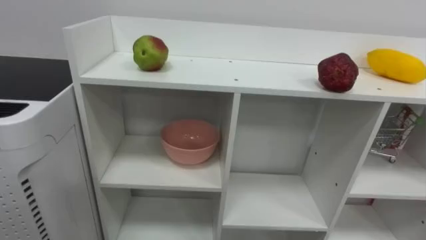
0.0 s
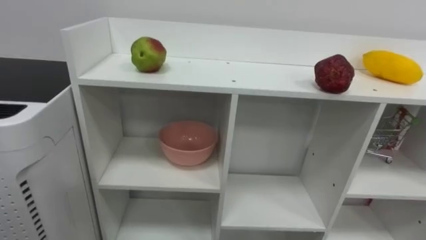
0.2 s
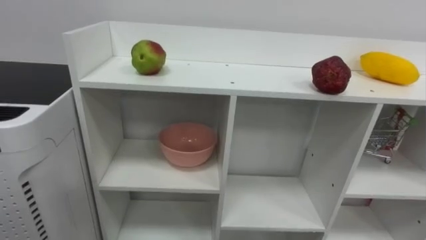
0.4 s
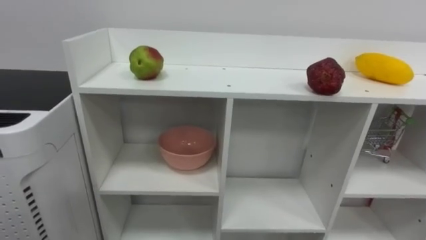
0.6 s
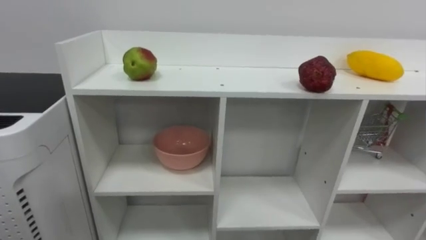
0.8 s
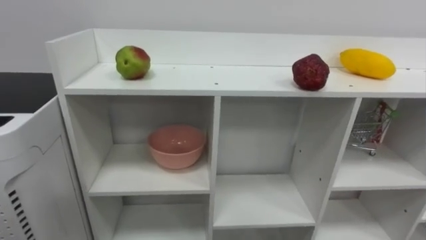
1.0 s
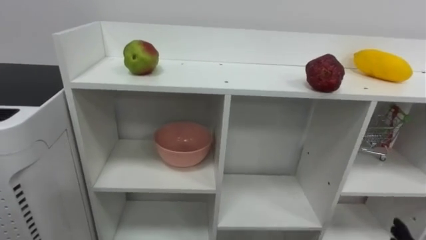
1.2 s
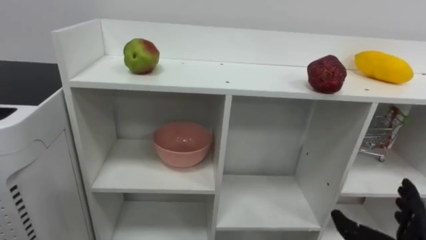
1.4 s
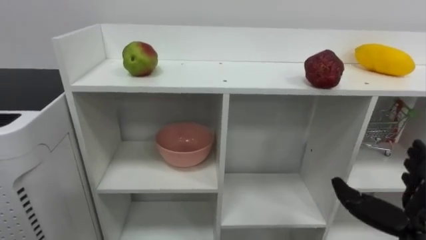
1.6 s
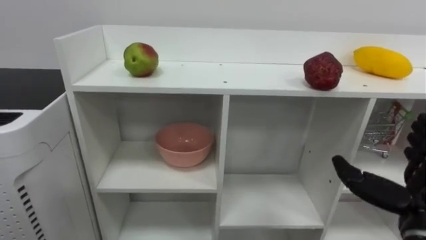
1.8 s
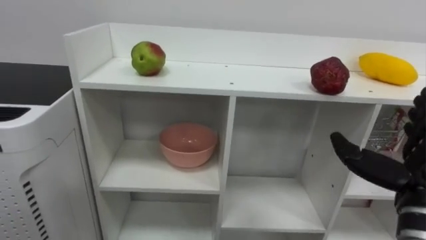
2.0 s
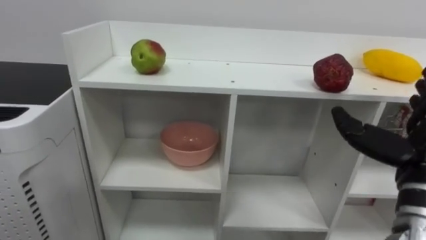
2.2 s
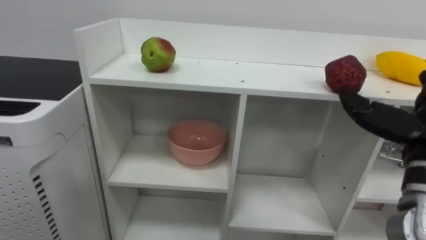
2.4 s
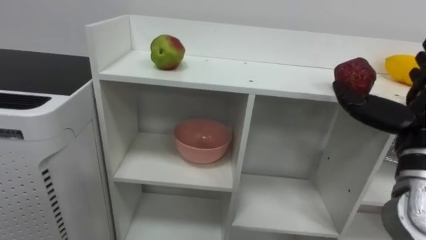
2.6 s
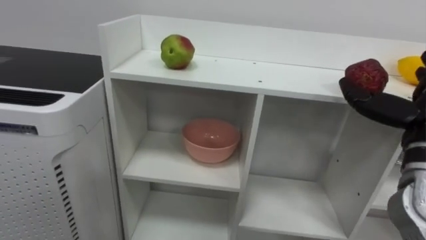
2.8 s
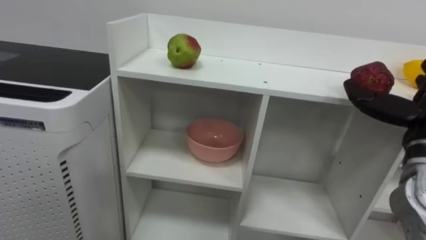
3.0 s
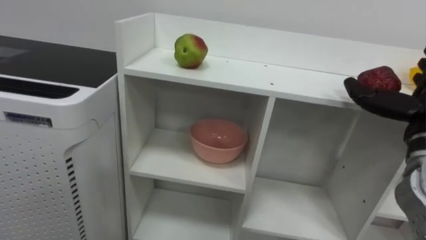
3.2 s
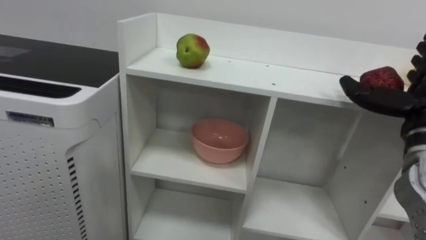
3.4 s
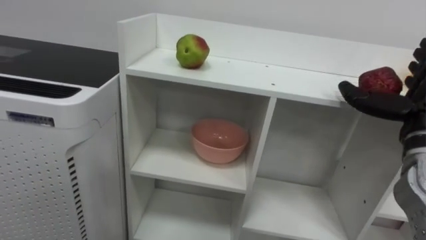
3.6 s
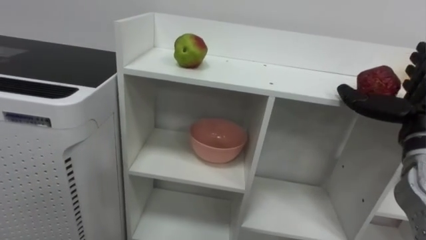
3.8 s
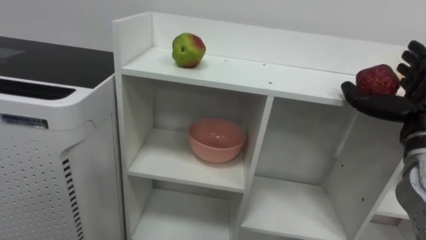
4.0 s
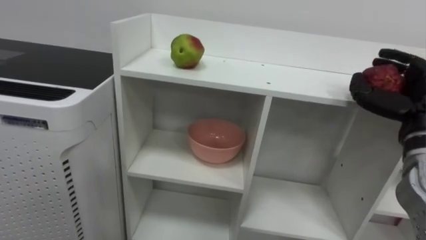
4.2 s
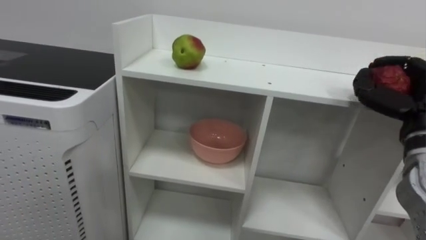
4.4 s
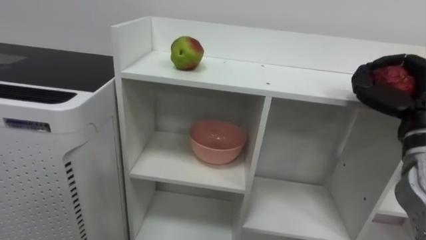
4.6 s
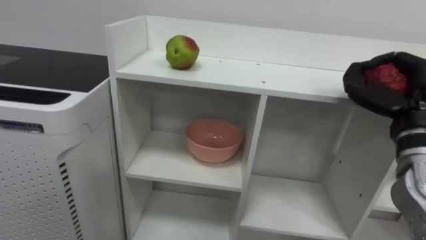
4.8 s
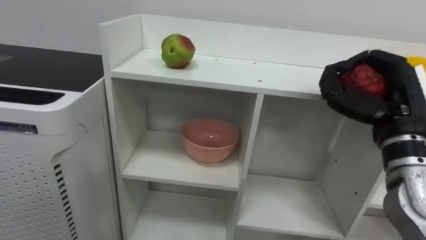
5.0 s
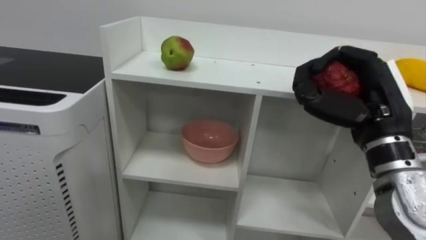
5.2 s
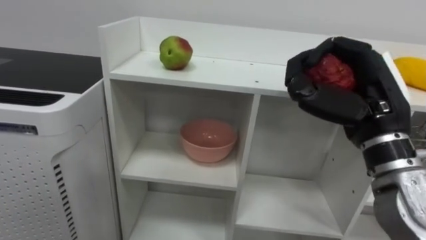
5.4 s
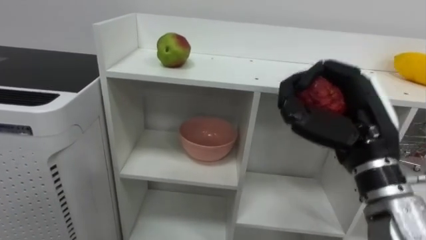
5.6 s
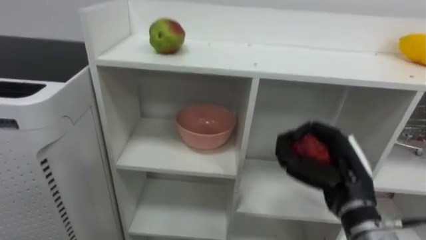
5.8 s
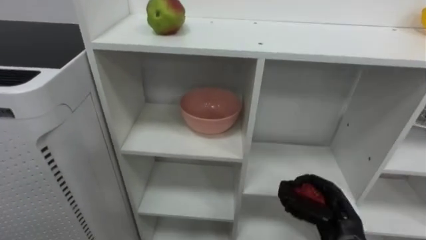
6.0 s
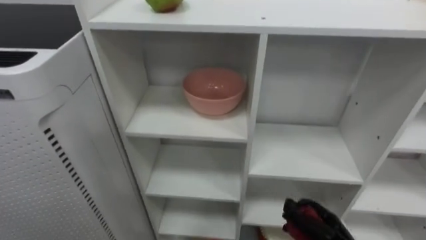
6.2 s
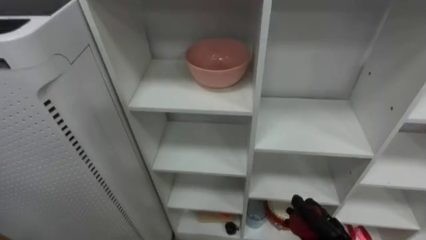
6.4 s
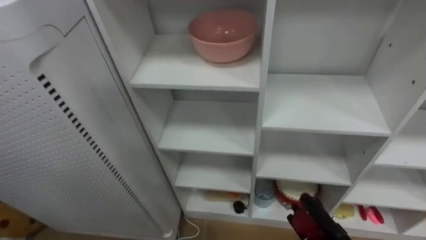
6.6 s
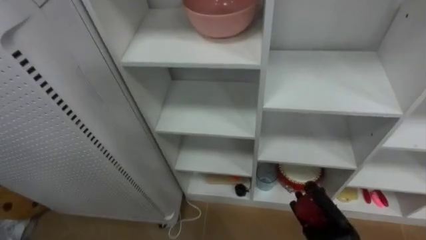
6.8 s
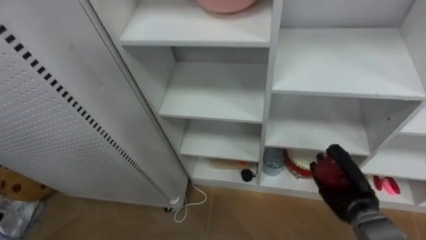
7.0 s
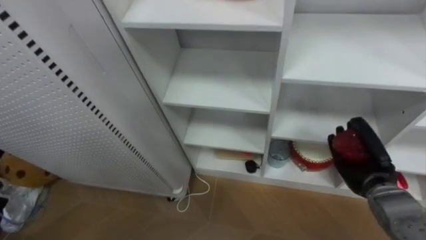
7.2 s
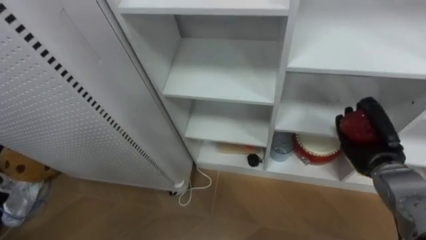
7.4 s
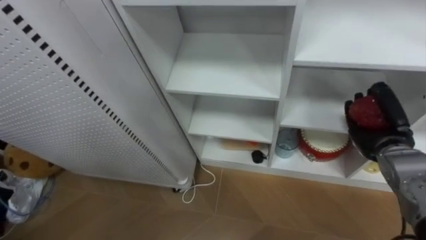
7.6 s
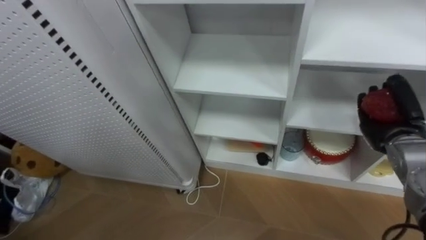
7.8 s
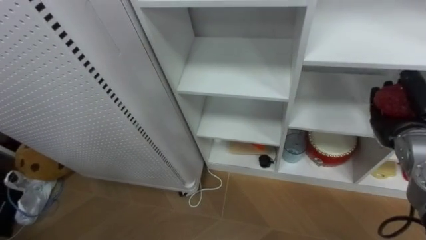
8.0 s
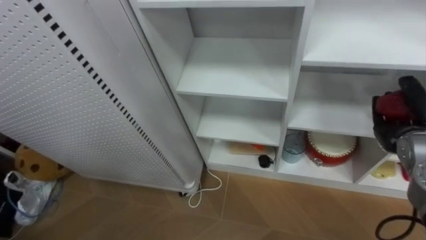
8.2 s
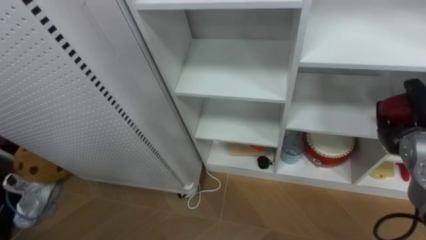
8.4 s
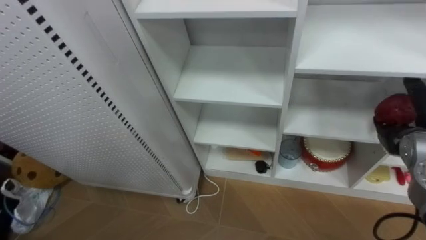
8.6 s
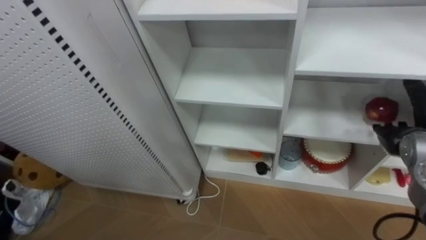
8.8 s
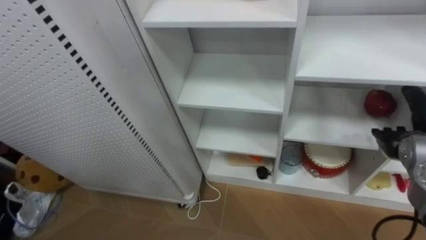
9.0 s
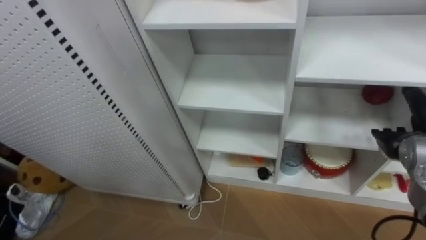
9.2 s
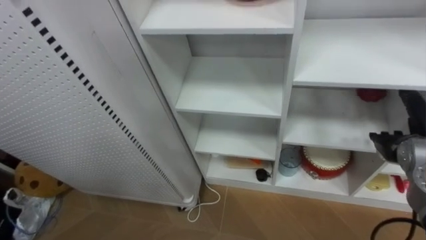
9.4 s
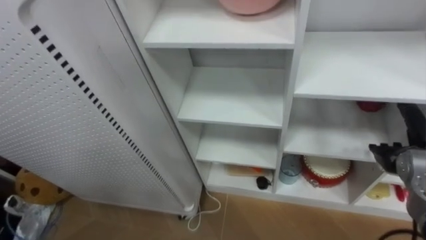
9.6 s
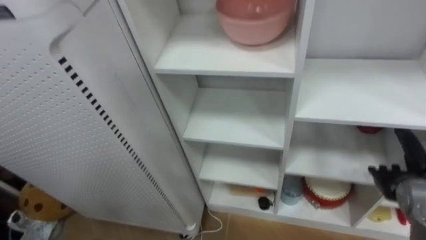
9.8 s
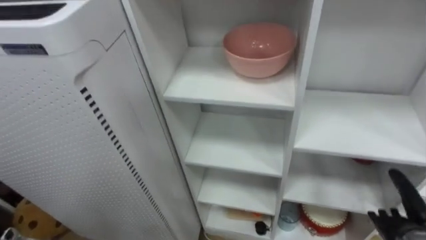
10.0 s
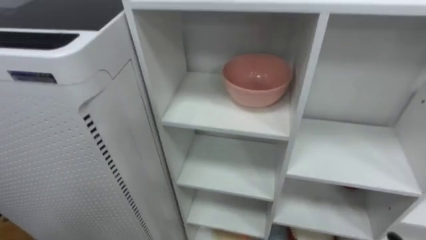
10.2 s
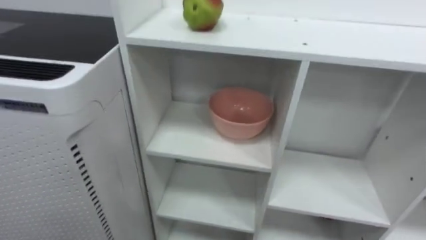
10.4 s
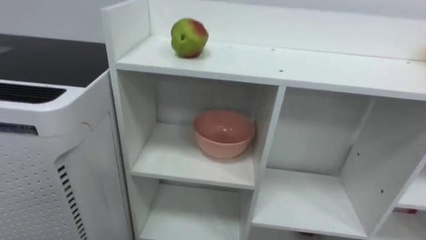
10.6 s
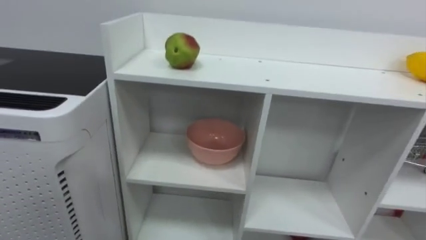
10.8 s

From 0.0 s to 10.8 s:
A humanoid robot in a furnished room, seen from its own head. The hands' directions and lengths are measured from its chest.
Task of the whole recording: Put the apple in the cell in the second column from the left and the second row from the top.
From 3.0 s to 4.6 s: The right hand closes.
From 4.6 s to 6.2 s: The right hand goes approximately 25 cm downward.
From 7.8 s to 9.2 s: The right hand opens.

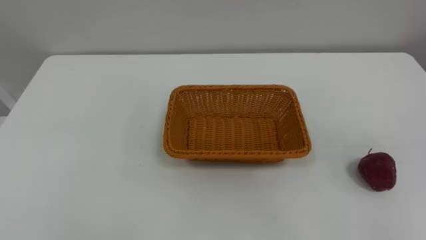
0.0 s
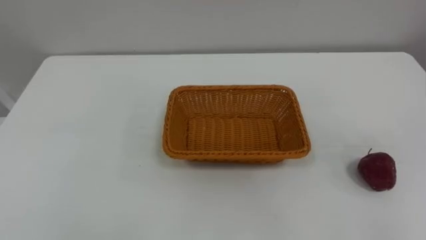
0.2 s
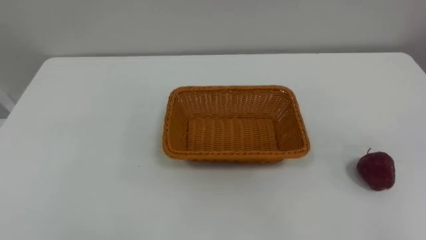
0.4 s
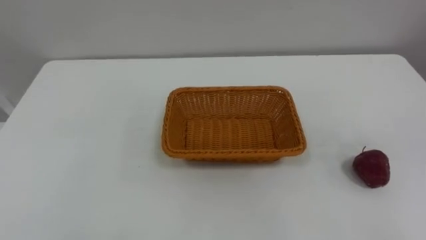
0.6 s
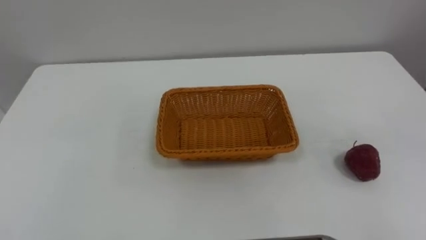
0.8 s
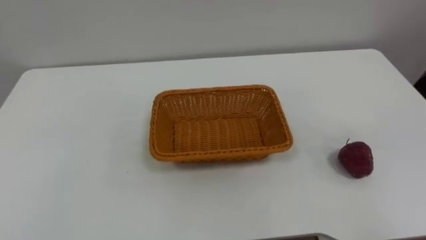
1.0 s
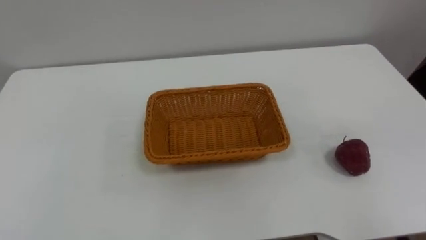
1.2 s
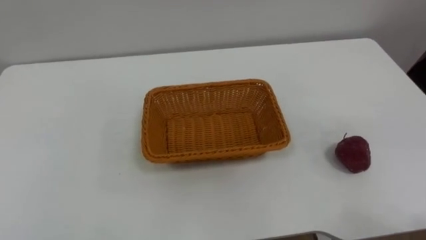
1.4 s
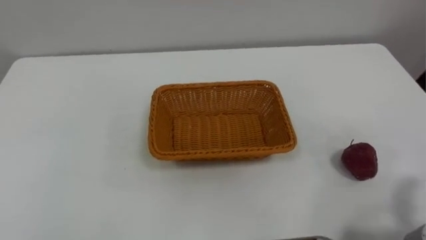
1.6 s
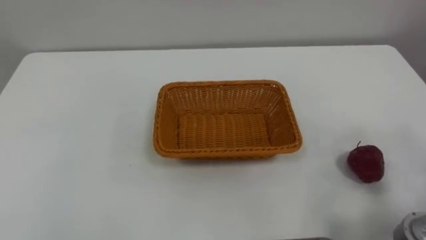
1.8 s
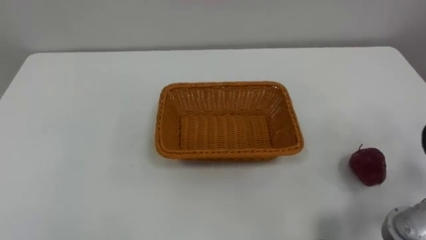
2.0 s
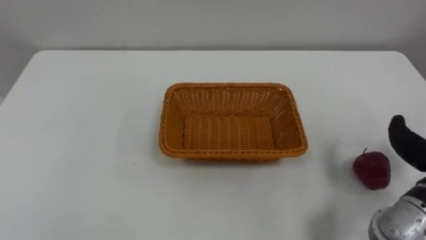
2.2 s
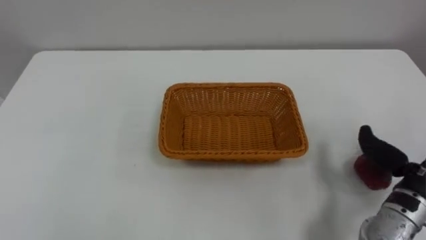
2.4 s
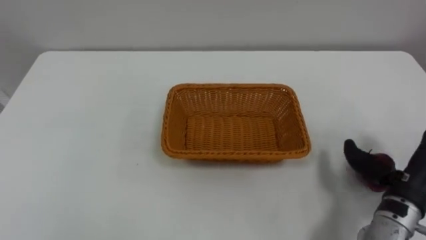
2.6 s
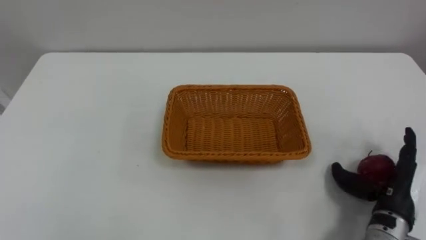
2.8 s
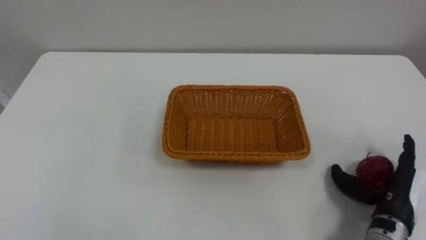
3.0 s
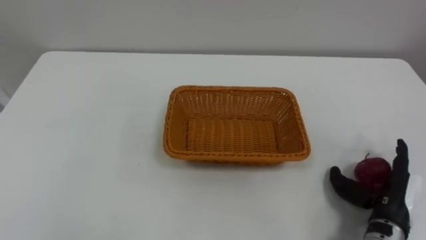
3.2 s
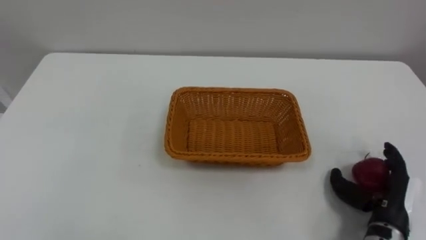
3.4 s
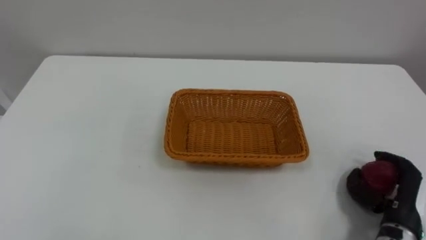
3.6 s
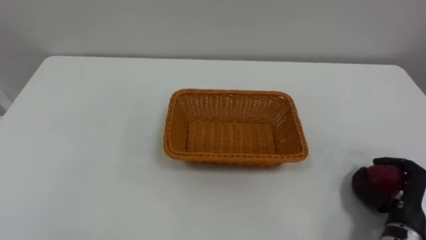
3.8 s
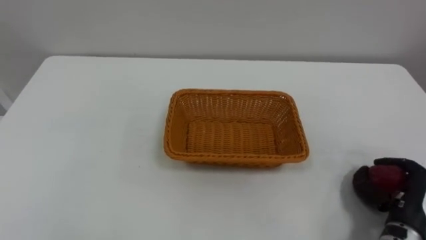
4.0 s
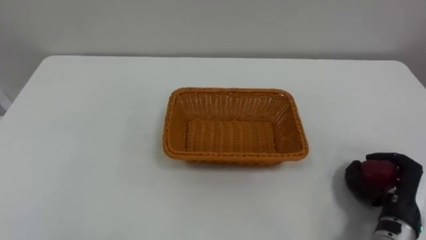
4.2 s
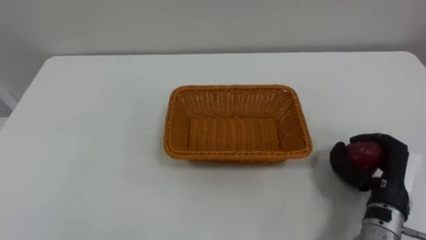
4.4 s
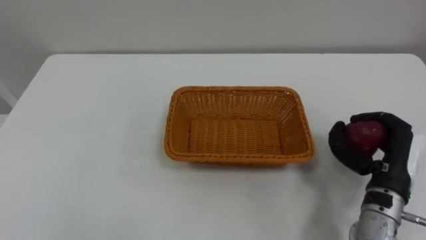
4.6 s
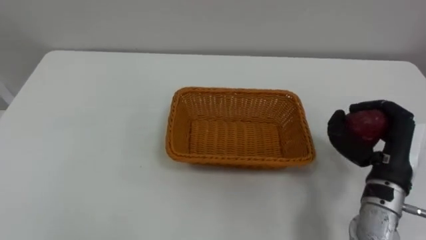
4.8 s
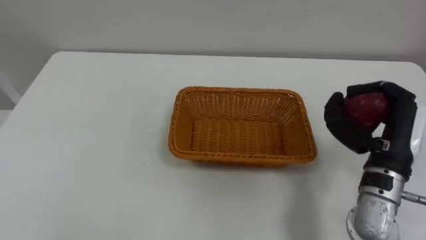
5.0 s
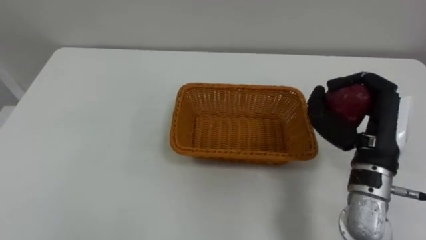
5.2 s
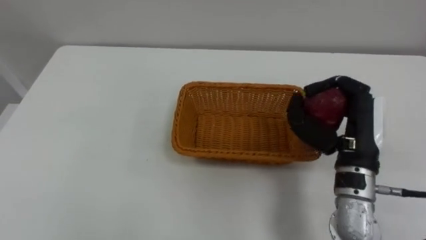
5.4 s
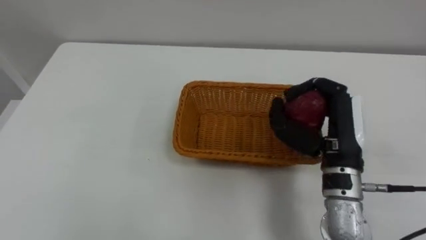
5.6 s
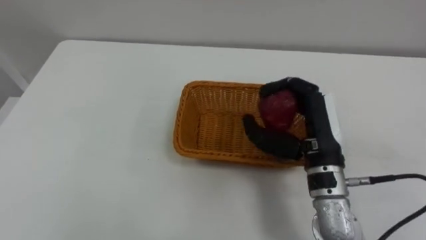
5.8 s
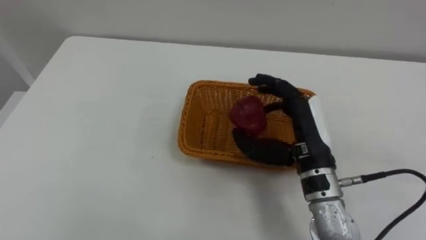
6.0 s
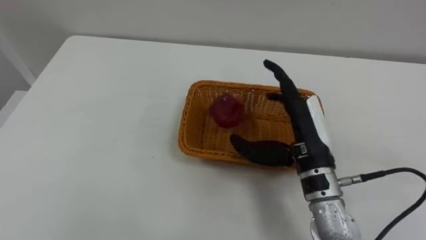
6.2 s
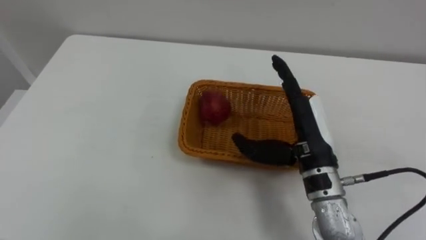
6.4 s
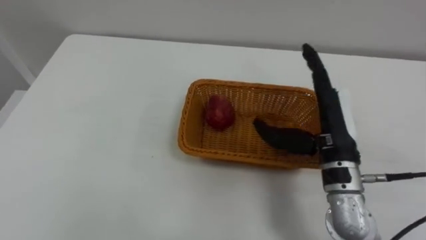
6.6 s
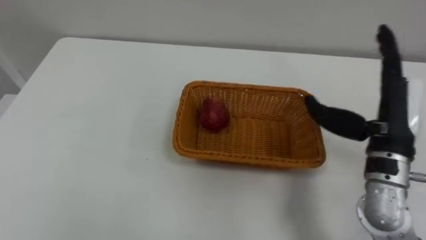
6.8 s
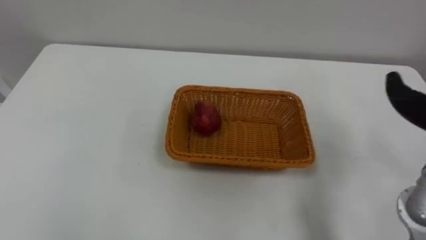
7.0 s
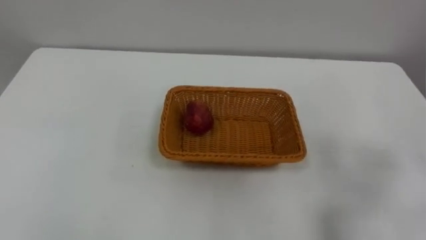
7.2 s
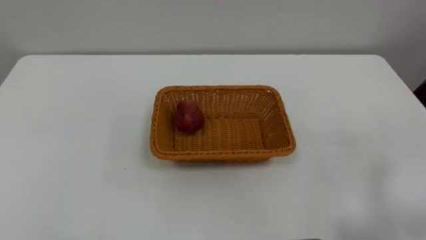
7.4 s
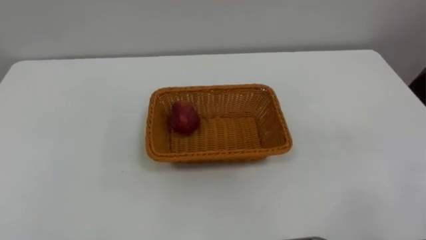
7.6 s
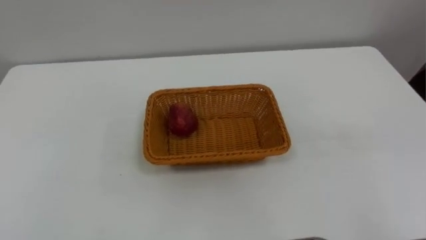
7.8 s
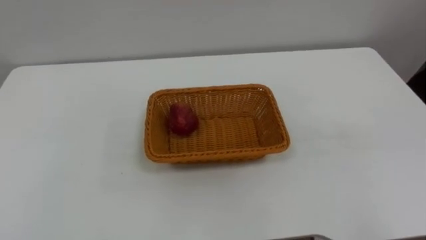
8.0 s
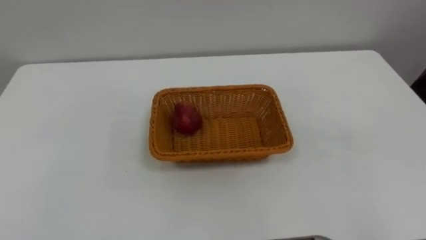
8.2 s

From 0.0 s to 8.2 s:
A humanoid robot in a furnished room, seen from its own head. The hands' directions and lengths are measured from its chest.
Task of the whole recording: Pick the apple and place it in the box.
From 3.2 s to 5.0 s: The right hand travels upward and forward by about 15 cm, and closes up.
From 5.0 s to 6.6 s: The right hand goes some 10 cm to the left, and opens its fingers.
